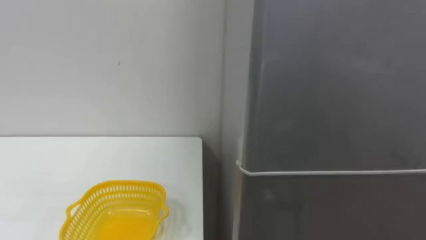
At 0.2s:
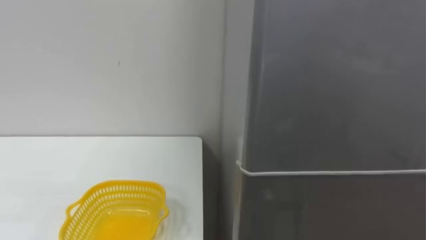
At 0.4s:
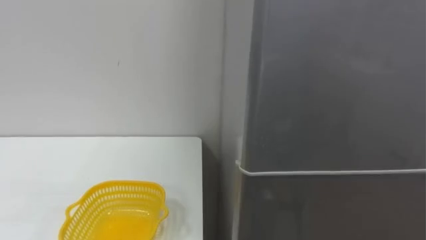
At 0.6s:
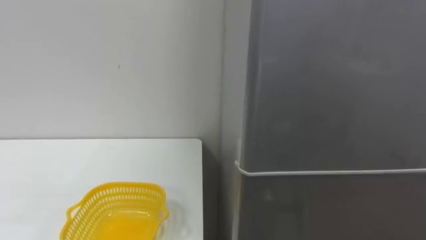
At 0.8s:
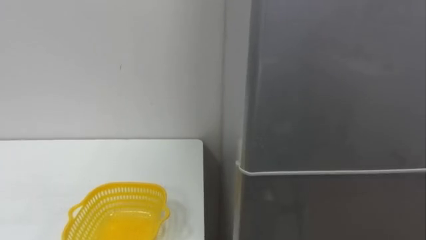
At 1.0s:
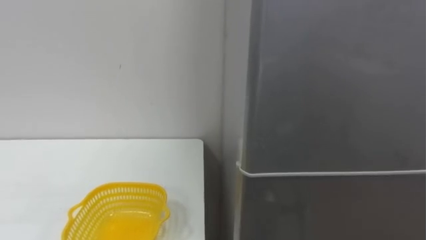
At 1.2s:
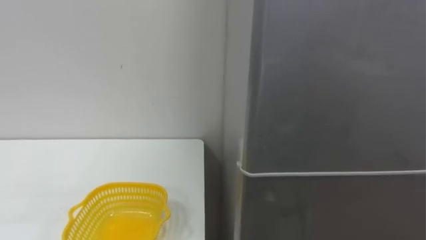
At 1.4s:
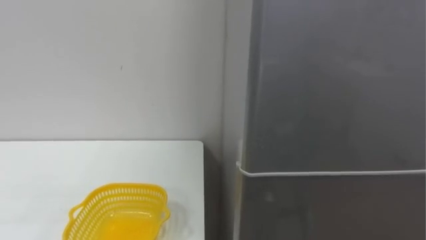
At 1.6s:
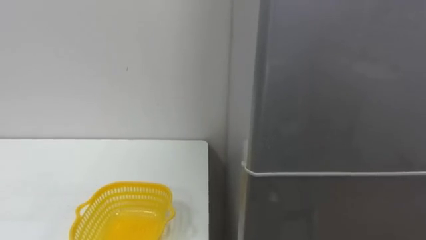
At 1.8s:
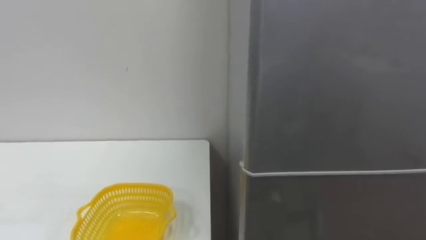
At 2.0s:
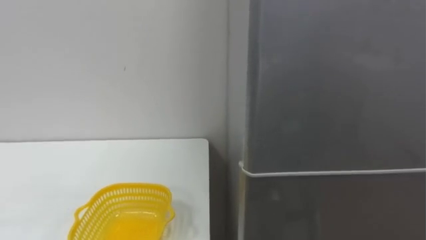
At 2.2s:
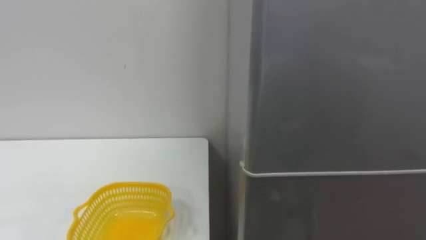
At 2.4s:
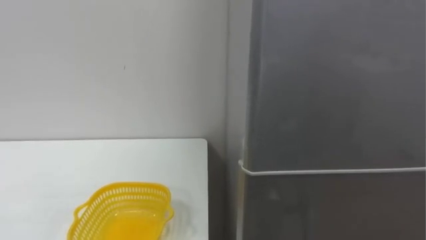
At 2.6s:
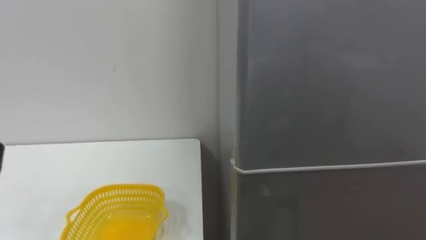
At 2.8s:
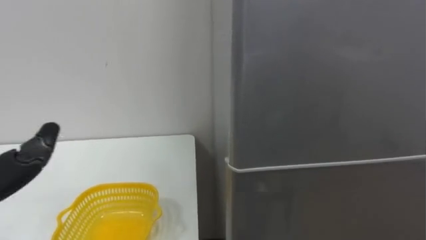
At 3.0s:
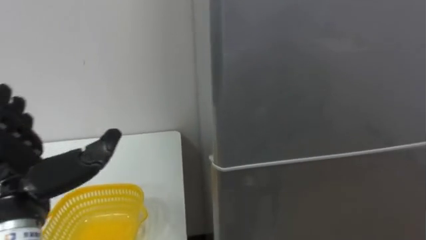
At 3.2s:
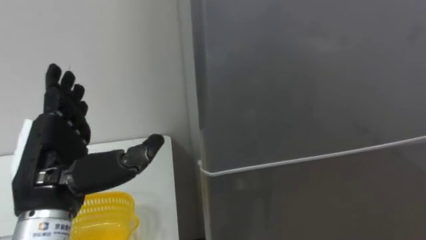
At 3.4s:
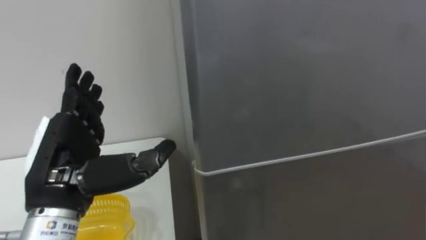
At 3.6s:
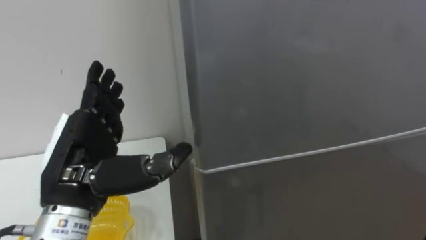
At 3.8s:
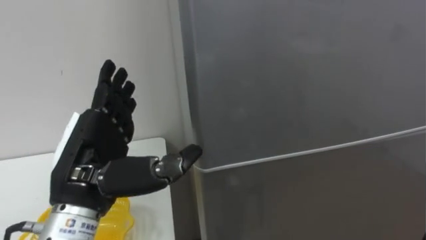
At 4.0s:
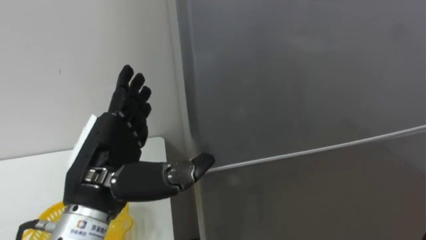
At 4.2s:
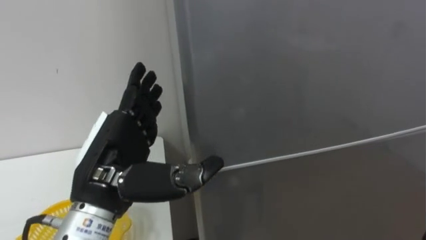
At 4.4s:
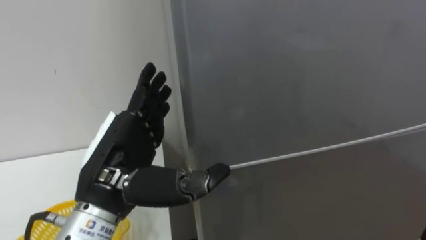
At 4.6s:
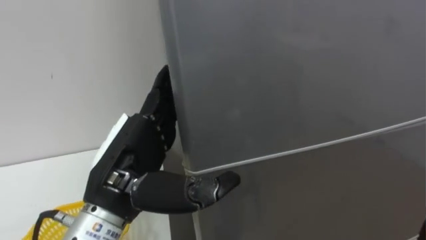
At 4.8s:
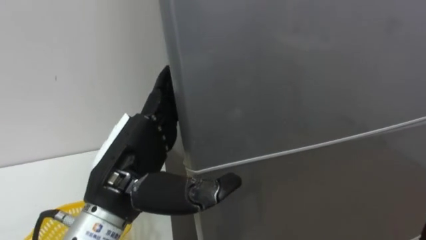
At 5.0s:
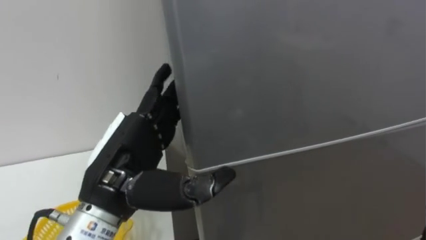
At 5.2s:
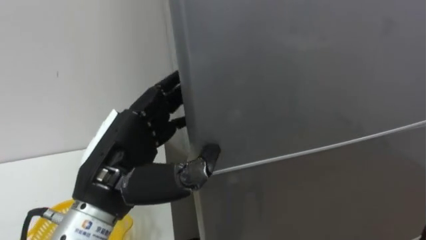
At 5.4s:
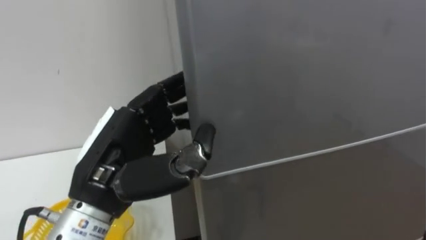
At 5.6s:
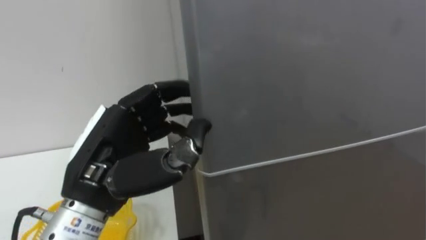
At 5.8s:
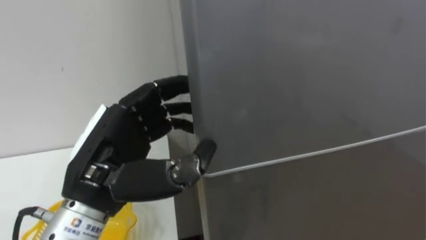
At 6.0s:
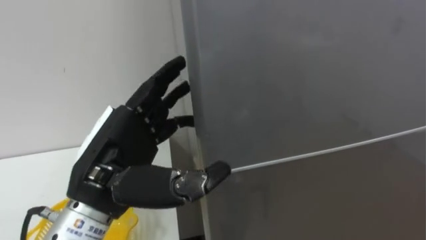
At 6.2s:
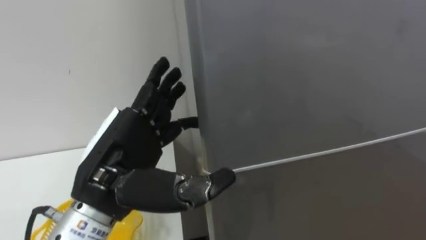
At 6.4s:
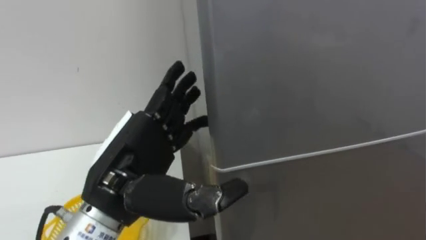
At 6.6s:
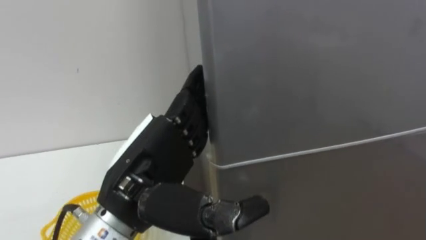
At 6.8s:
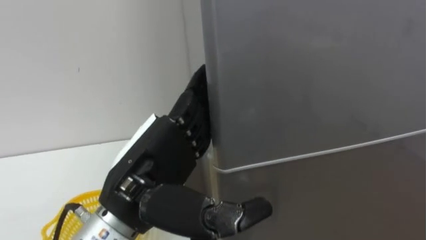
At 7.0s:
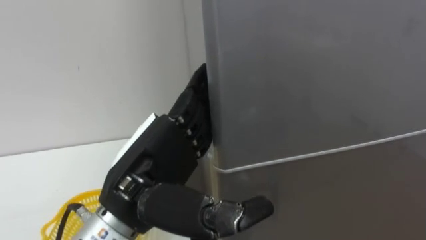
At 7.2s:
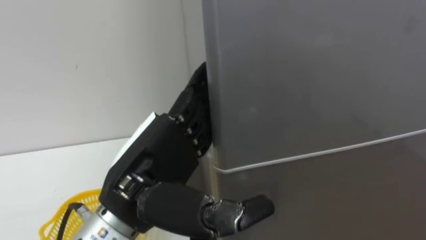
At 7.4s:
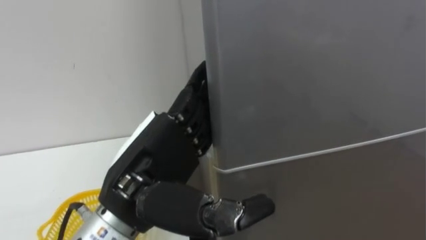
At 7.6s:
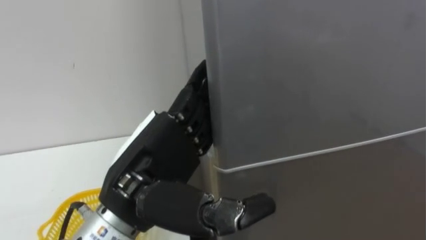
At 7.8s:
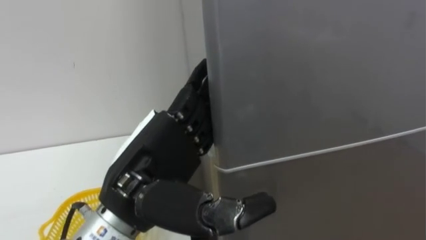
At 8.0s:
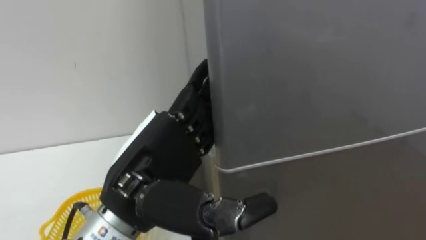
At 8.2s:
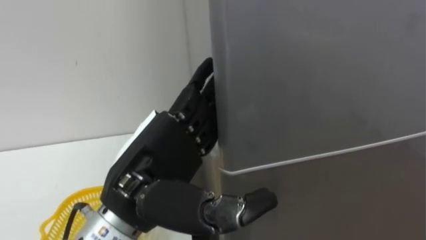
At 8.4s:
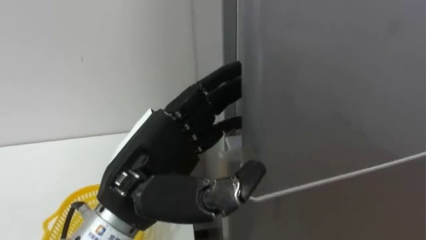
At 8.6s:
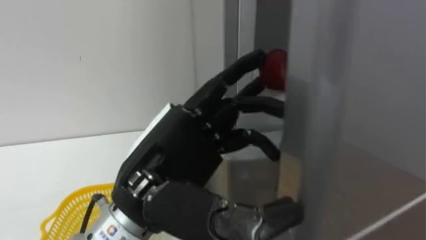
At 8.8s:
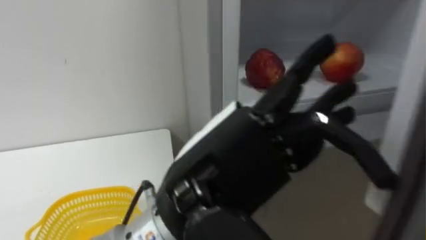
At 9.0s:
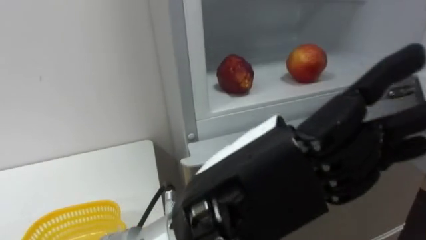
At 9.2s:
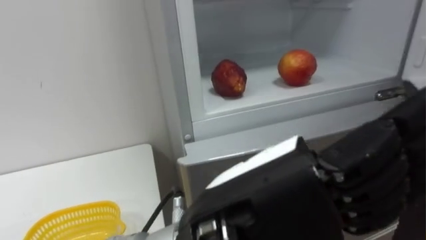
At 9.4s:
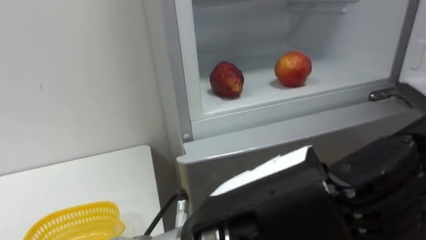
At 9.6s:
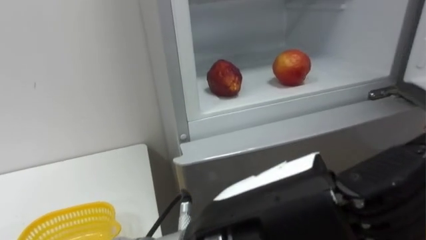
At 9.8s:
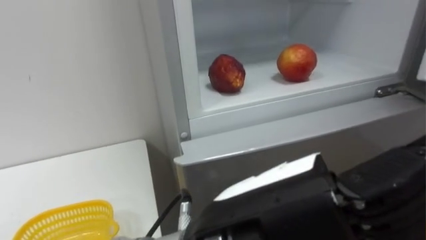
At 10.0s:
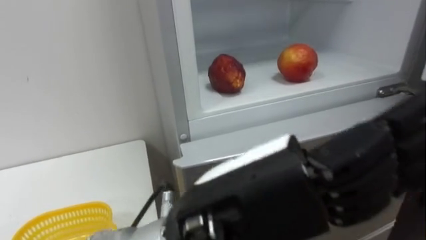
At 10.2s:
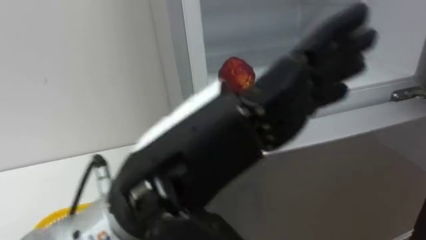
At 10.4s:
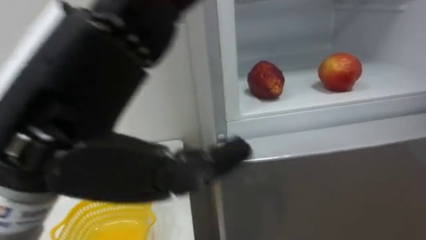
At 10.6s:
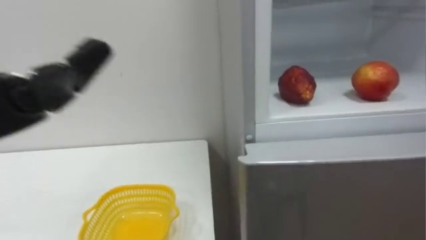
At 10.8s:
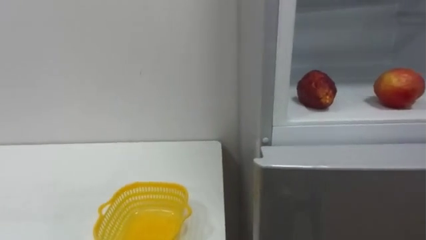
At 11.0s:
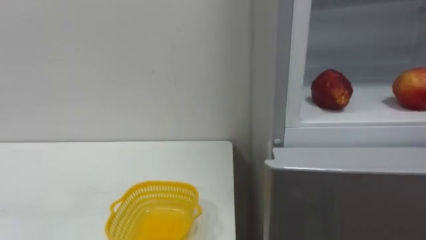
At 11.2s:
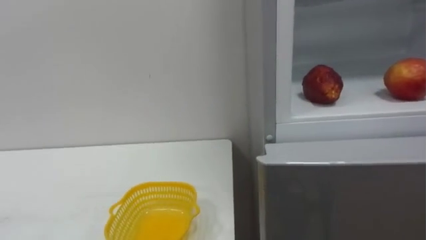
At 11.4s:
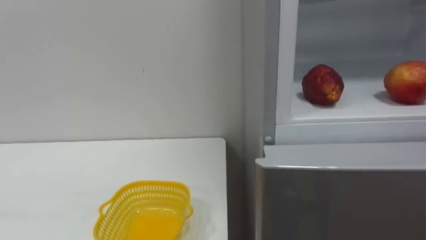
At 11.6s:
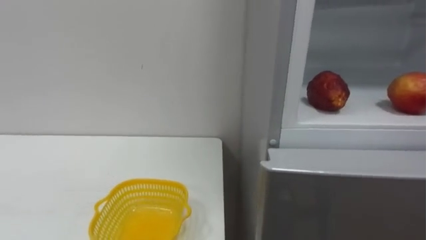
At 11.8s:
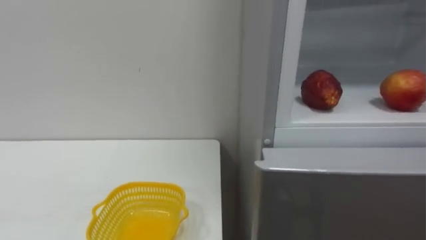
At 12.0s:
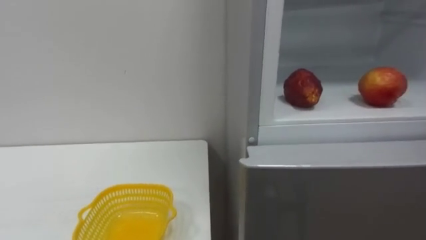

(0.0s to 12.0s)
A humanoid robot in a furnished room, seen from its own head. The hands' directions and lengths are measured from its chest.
Task of the whole recording: Open the refrigerator door, take out the apple and the pomegranate, place them in the fruit basket on the left, and close the refrigerator door.
3.0s - 4.4s: The left hand is displaced to the right by about 10 cm.
4.4s - 6.0s: The left hand closes, then reopens.
7.6s - 9.0s: The left hand goes roughly 10 cm to the right and backward.
9.0s - 10.4s: The left hand heads to the left and upward, covering about 15 cm.

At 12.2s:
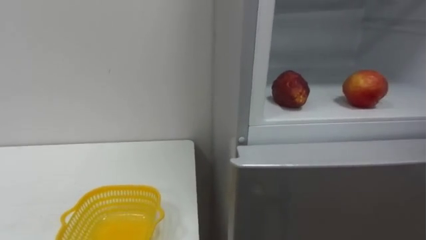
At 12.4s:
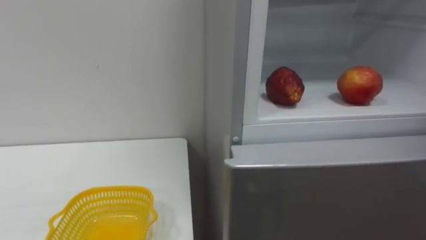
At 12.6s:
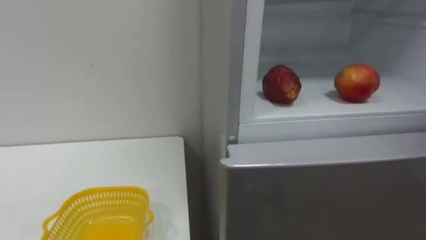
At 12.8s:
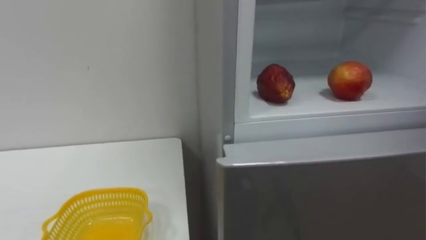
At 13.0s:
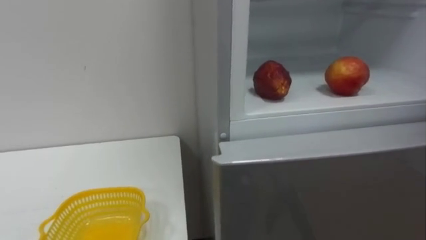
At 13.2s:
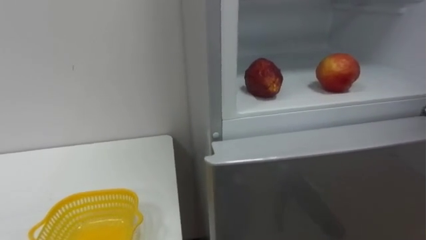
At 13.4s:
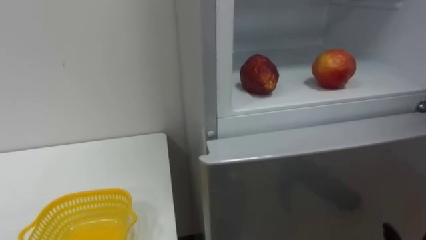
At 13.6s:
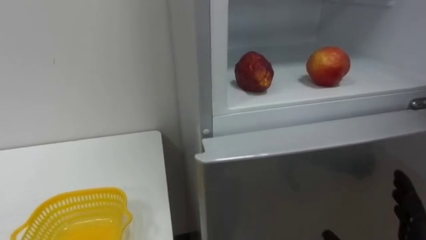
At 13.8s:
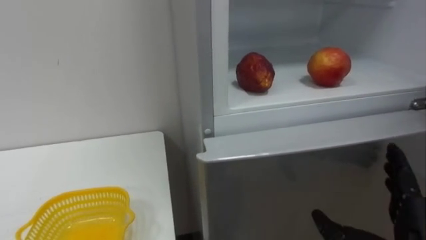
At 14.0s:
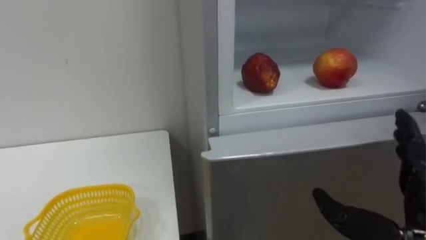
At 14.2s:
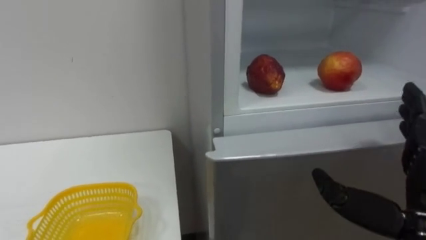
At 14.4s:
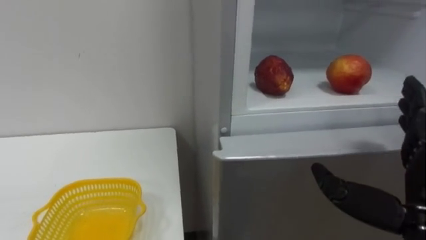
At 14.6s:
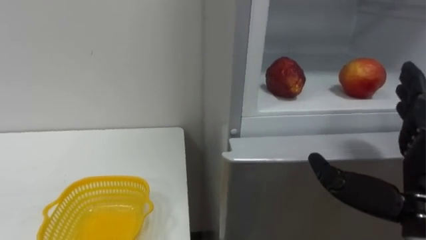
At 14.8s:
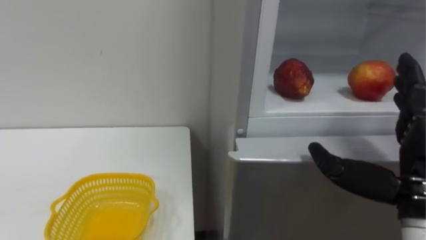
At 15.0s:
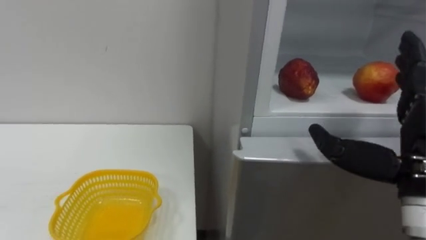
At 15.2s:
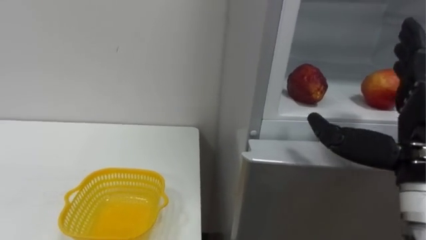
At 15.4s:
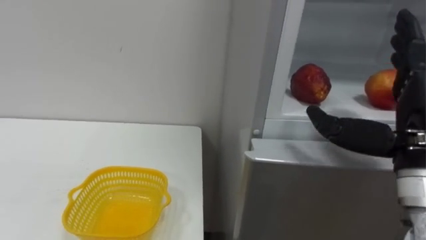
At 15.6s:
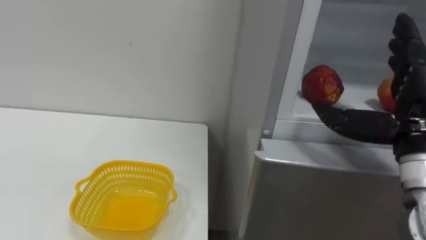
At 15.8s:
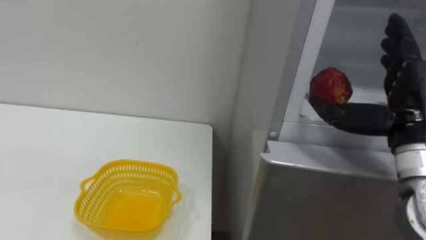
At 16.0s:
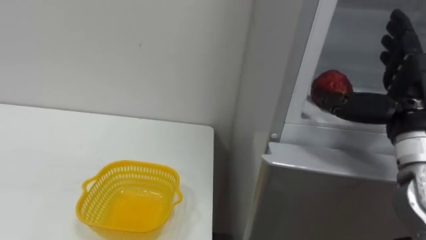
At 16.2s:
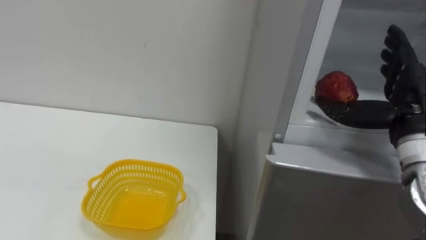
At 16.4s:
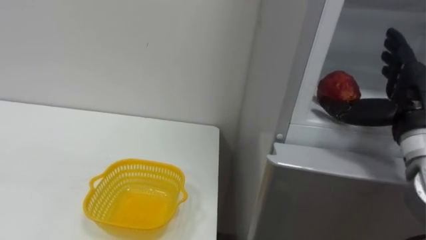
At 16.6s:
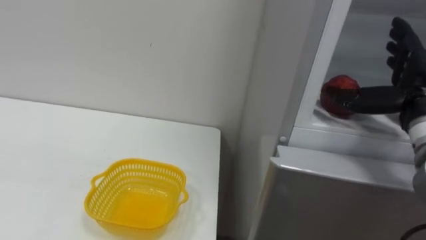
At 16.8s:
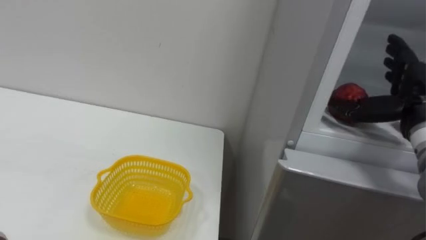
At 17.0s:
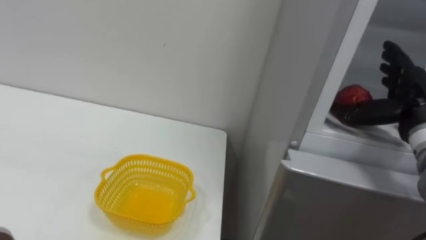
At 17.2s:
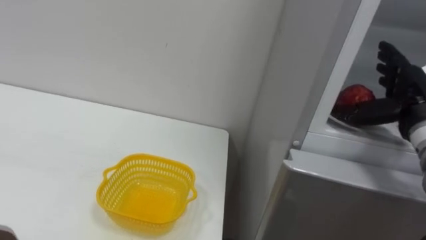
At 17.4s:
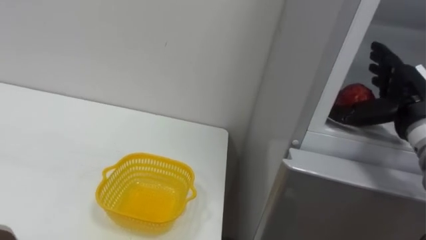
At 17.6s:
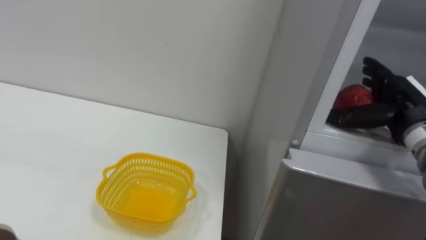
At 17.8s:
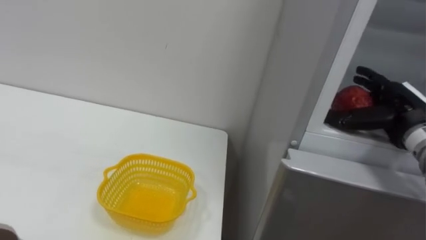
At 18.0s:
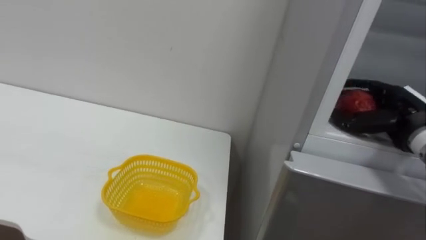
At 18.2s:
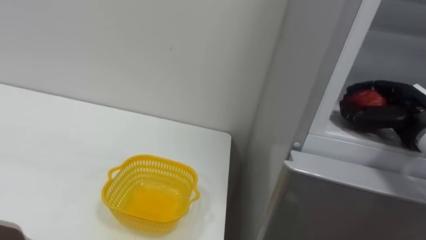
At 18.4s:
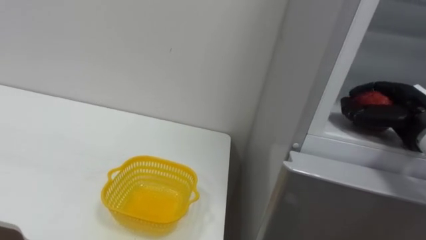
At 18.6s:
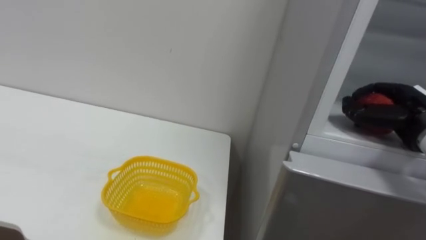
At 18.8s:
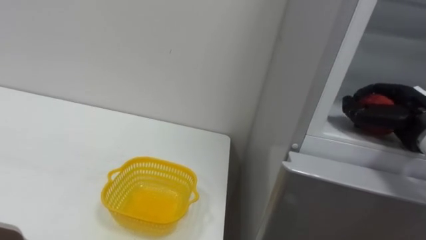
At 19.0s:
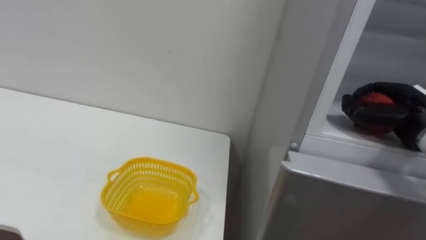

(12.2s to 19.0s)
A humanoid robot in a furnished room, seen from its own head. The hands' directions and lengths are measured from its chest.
Task of the whole recording: Open the refrigerator door, take out the apple and the pomegranate, place them in the fruit basket on the left, and close the refrigerator door.
15.0s - 16.2s: The right hand moves forward, some 10 cm.
16.2s - 17.6s: The right hand shifts some 5 cm forward.
17.6s - 19.0s: The right hand closes up.
